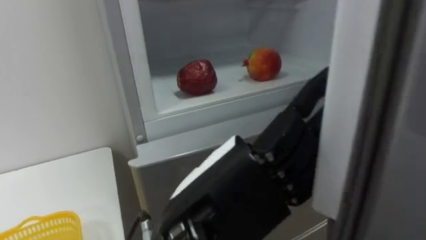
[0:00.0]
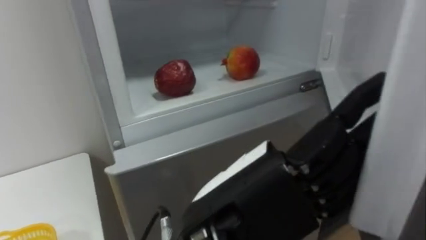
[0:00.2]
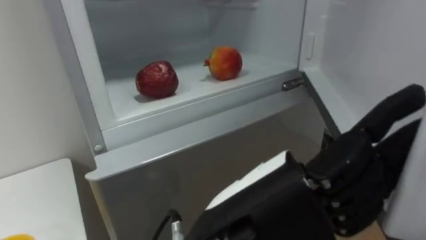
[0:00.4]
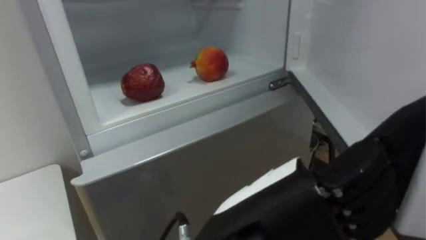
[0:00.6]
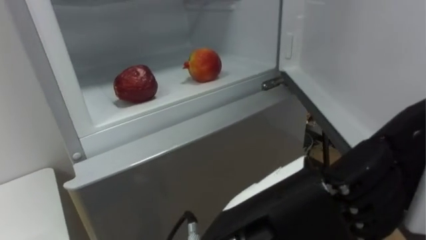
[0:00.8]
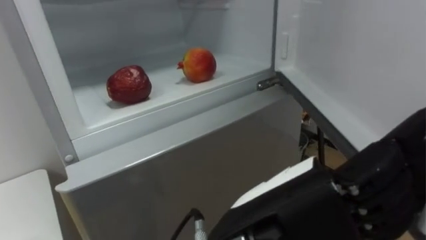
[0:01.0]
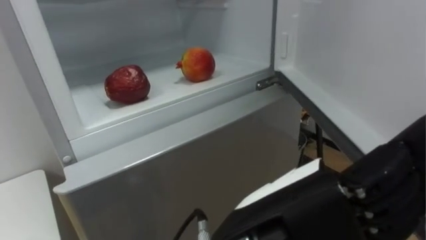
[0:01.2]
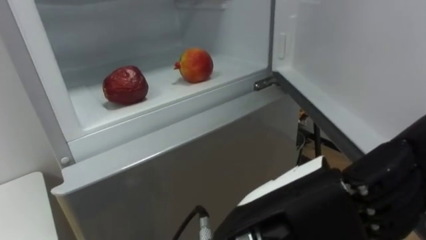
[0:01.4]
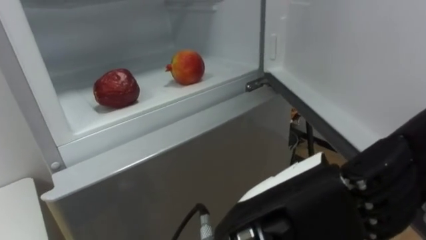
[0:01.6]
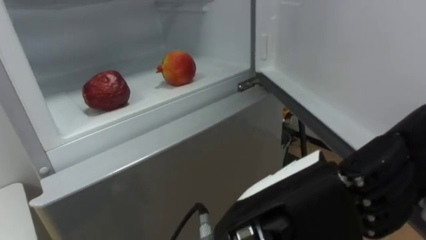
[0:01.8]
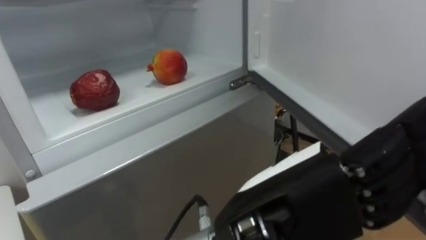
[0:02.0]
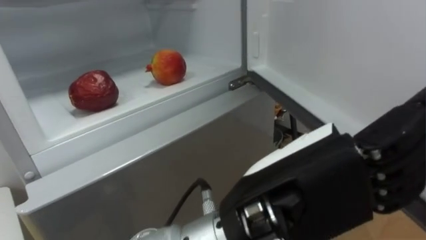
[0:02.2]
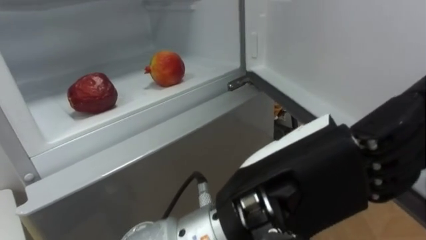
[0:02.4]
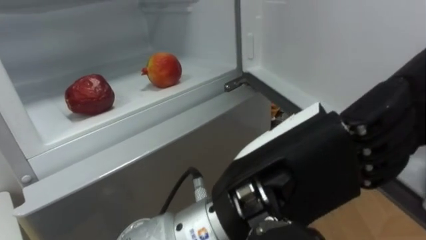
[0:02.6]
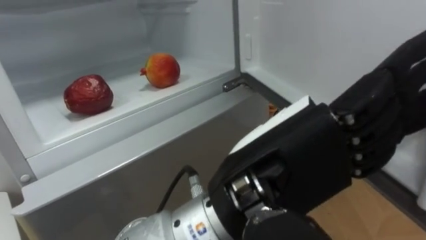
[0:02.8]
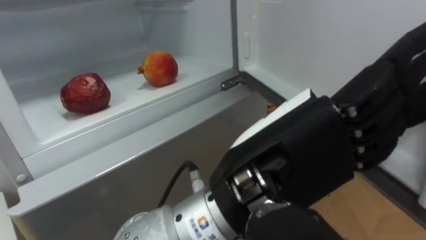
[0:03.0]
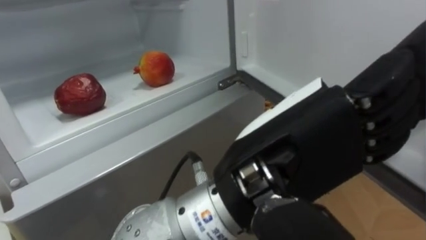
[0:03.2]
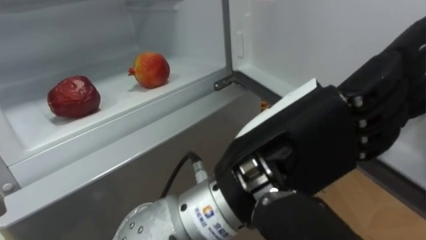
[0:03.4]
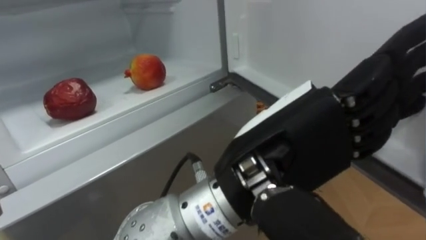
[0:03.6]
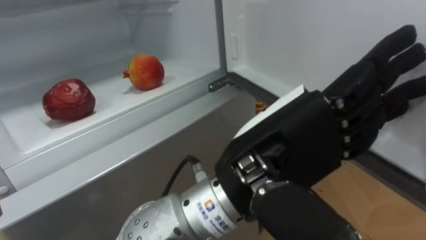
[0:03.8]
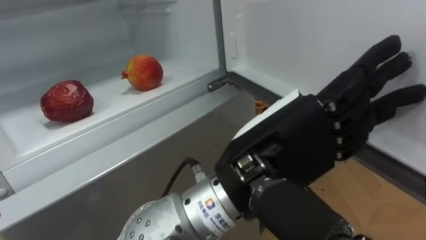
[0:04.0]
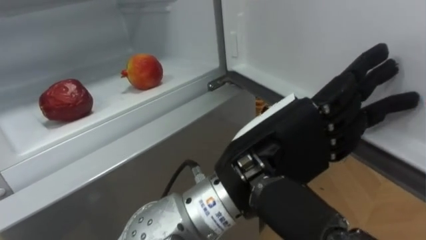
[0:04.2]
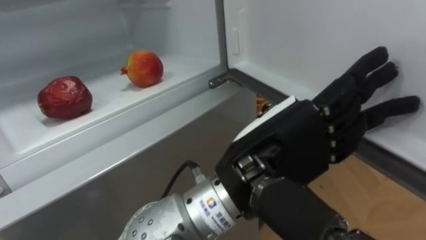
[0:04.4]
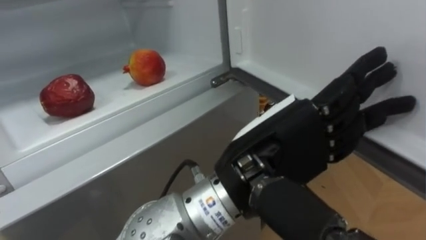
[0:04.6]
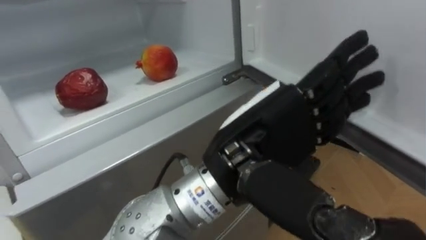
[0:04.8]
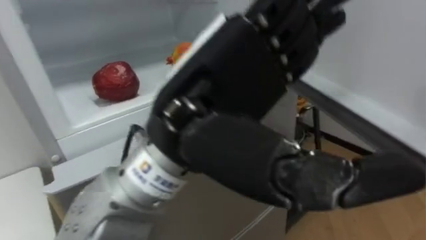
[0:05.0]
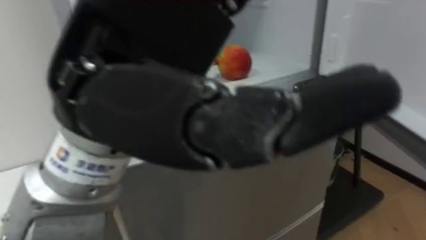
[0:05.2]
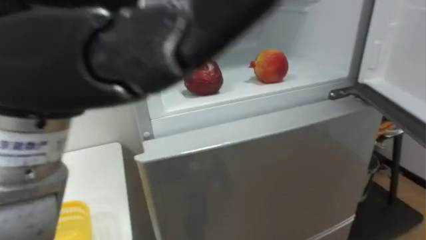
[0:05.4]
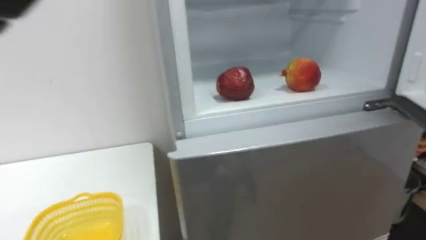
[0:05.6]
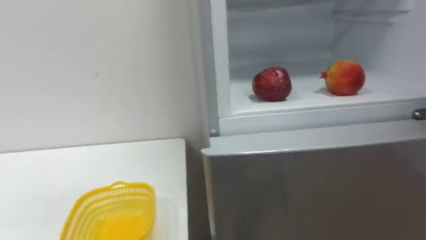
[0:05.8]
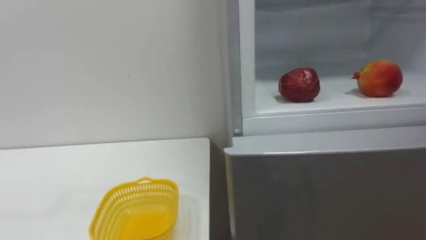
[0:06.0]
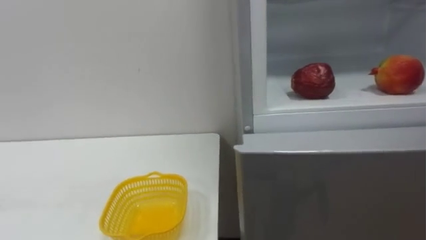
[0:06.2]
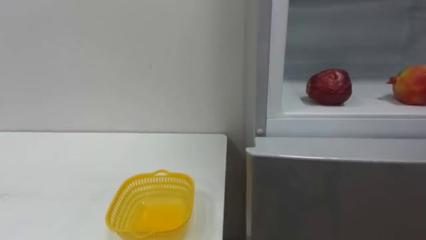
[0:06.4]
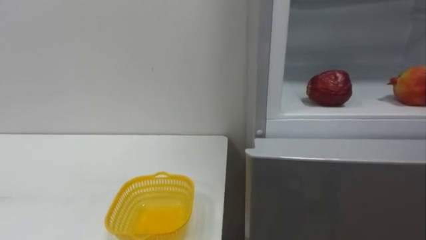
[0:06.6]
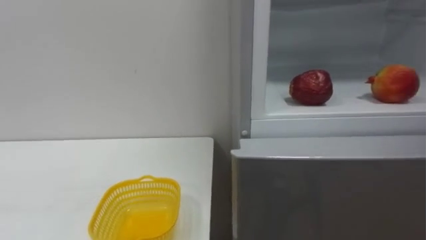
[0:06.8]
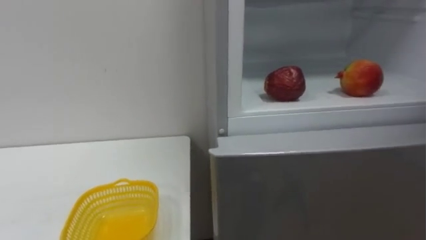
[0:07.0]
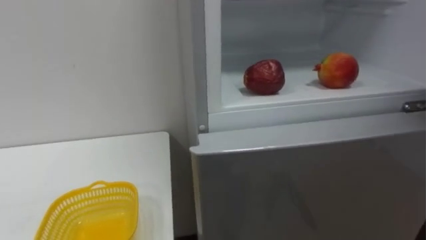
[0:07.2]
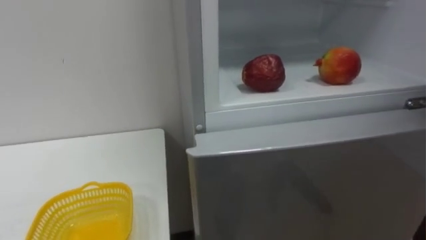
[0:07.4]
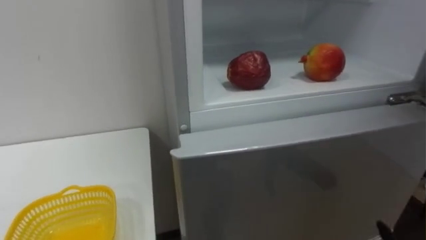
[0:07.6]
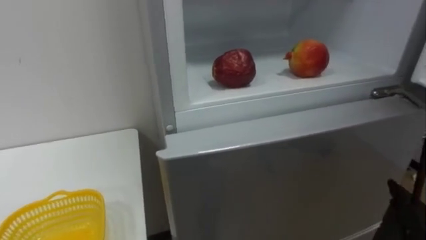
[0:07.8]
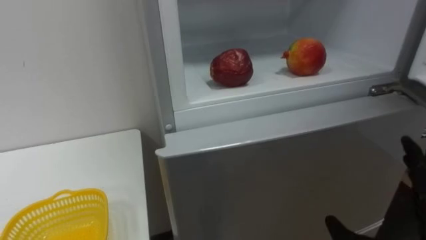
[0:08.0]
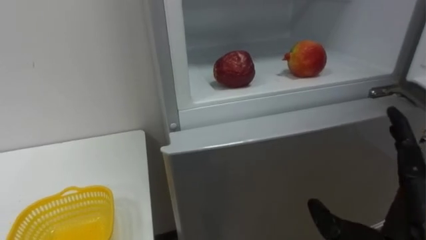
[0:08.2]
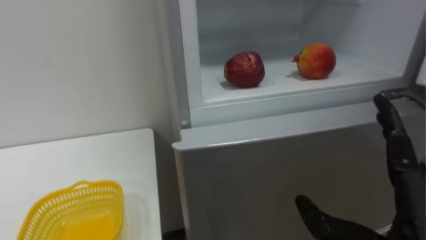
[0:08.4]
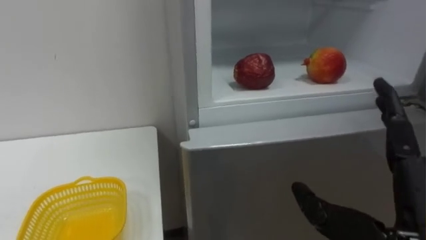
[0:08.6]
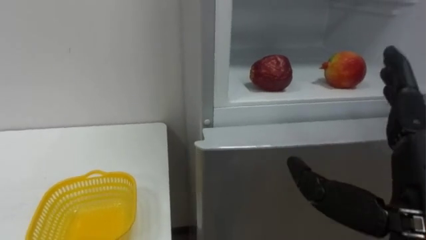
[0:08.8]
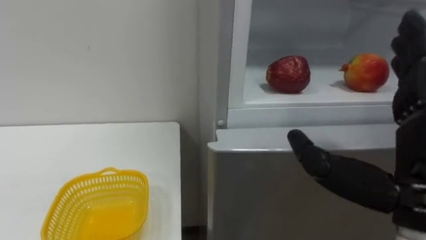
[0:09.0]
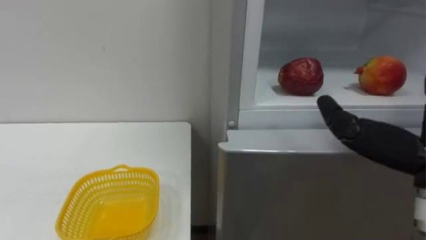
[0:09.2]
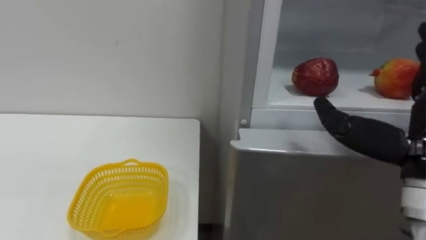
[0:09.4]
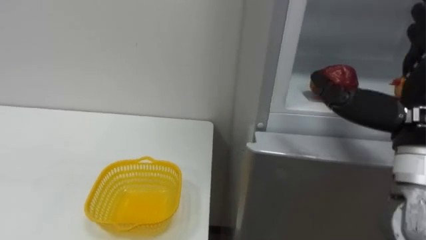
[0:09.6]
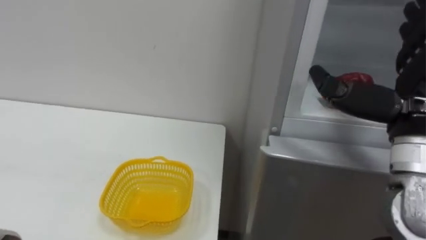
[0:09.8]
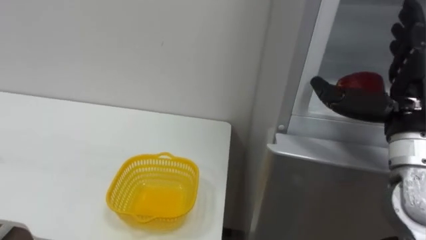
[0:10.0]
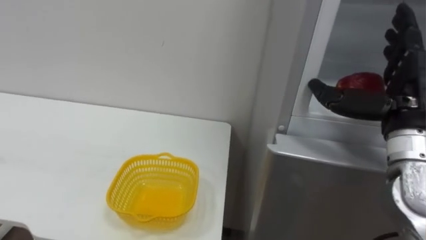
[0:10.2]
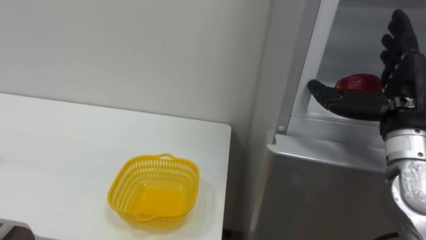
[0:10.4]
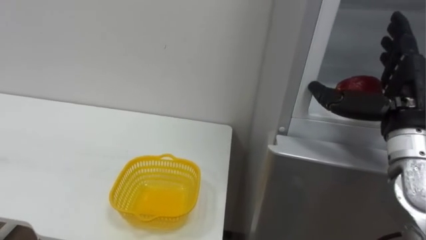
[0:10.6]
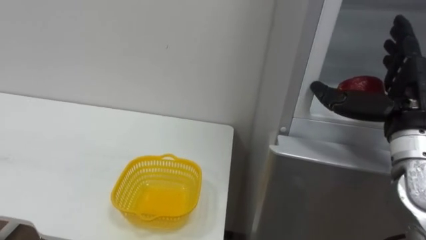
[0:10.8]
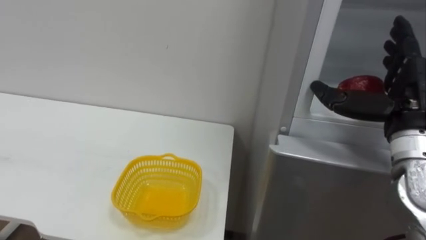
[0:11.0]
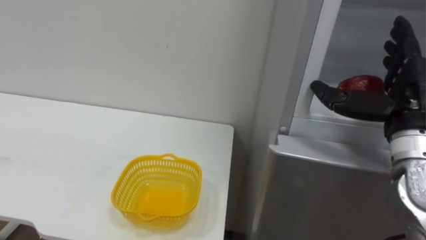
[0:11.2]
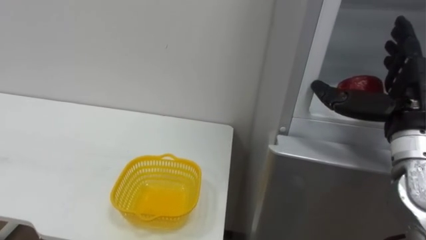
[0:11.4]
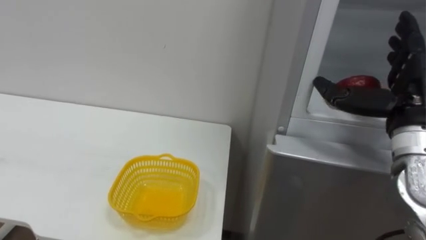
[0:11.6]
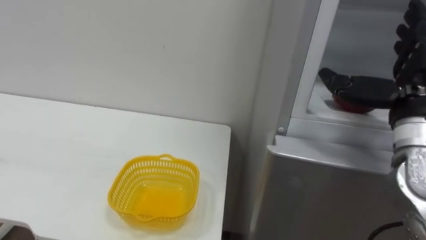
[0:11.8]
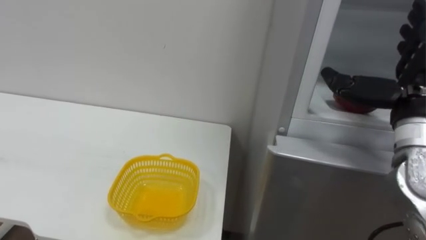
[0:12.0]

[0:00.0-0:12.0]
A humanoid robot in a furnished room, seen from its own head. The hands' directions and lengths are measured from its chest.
Task of the whole recording: Open the refrigerator door, take out the apple and the pomegranate, place them in the fruit basket on the left, and close the refrigerator door.
0:00.0 to 0:01.6: The left hand goes approximately 5 cm to the right.

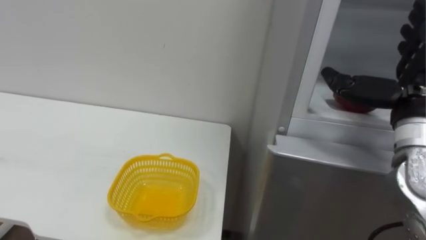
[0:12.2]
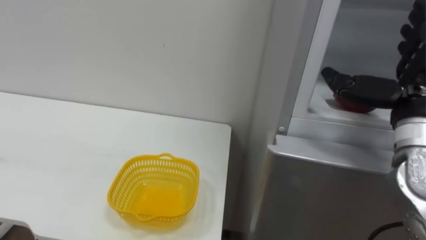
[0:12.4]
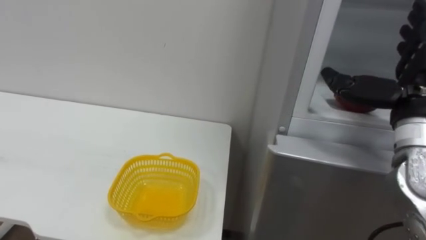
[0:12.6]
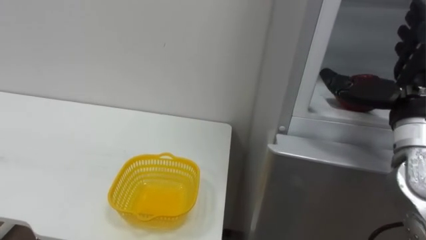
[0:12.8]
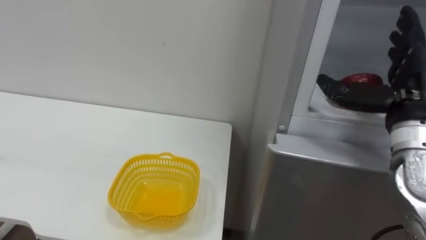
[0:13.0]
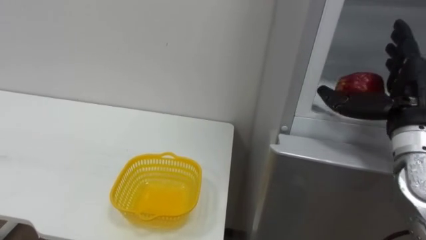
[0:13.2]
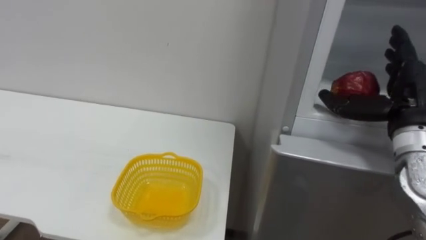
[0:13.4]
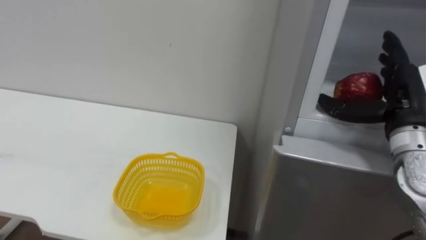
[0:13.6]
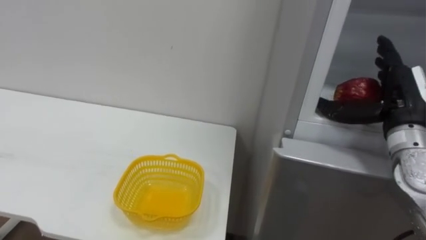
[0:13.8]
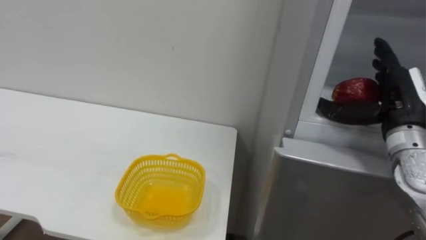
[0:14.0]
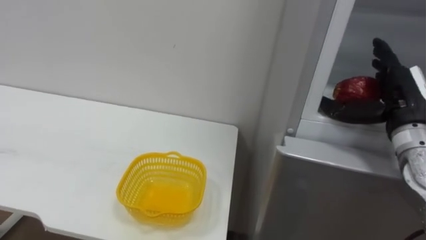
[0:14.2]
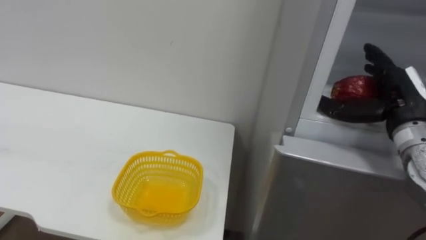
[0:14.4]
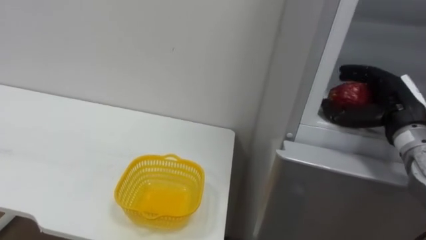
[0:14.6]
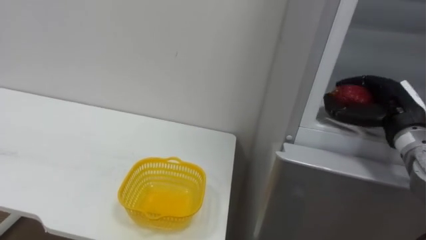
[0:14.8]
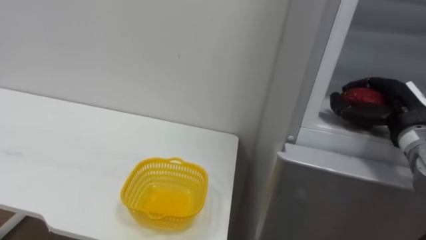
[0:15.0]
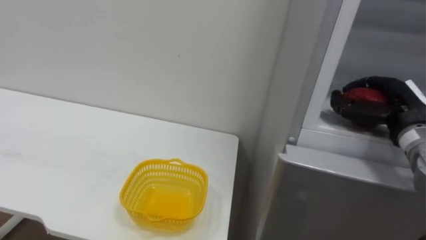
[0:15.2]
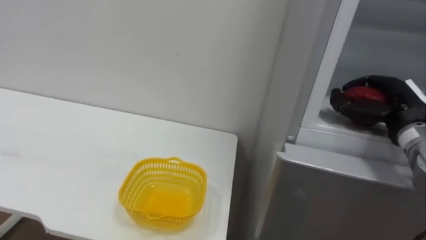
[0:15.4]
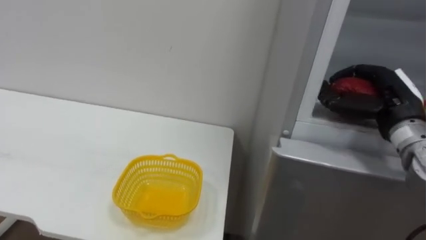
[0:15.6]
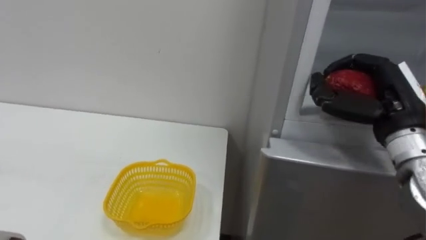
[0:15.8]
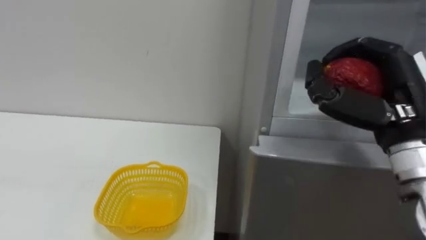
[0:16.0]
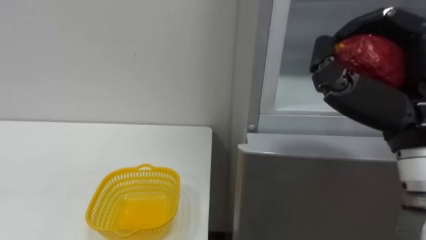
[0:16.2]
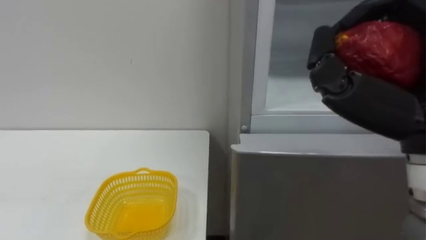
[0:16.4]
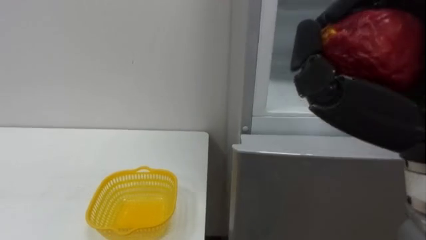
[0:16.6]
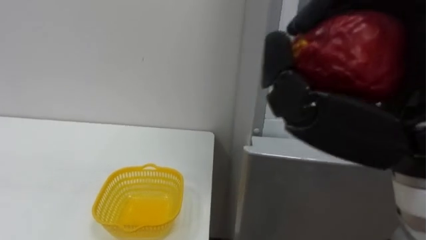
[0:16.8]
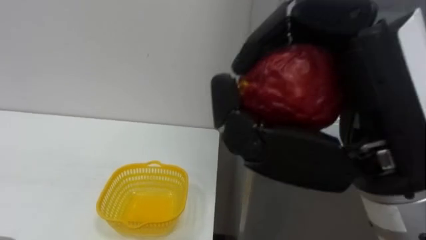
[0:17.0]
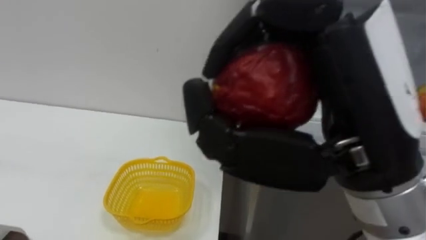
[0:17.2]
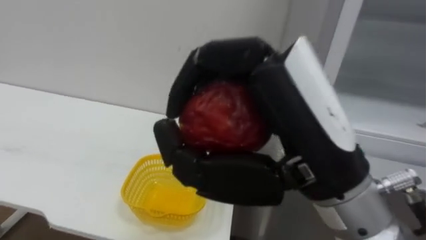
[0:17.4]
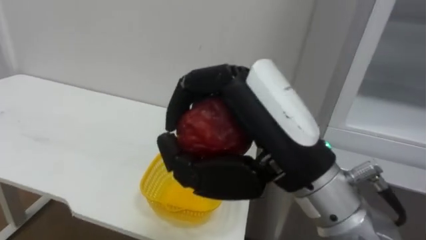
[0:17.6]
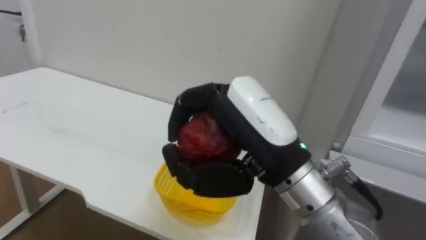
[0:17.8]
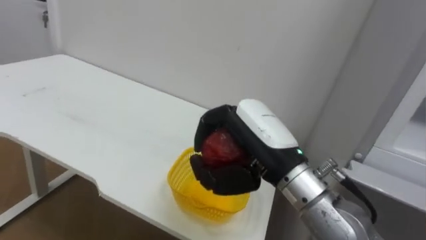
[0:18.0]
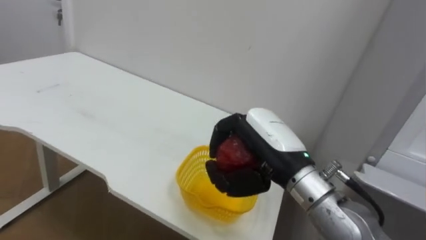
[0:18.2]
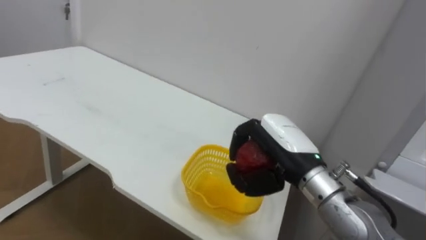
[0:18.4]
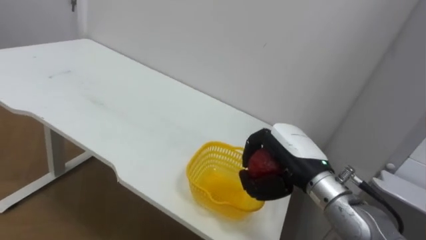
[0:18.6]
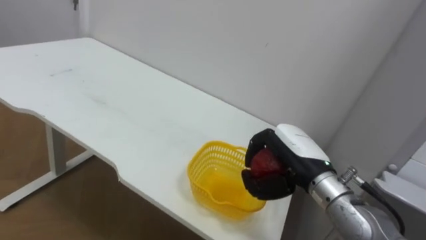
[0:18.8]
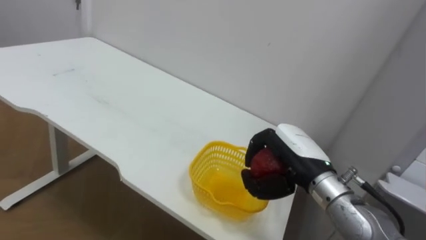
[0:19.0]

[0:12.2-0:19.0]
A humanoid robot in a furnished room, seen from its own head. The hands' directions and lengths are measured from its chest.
Task of the whole recording: Open the refrigerator door, take out the apple and the pomegranate, place them in the fruit basket on the left, and close the refrigerator door.
0:13.6 to 0:15.0: The right hand changes place by approximately 5 cm, and closes up.
0:15.0 to 0:16.2: The right hand goes roughly 20 cm backward, upward and to the left.
0:16.2 to 0:17.6: The right hand shifts some 15 cm to the left.
0:17.6 to 0:19.0: The right hand heads downward, forward and to the right, covering approximately 20 cm.
